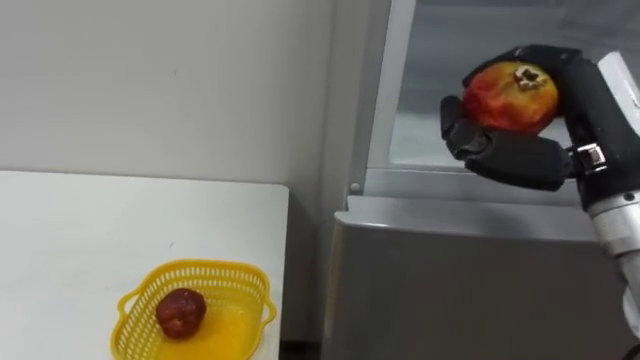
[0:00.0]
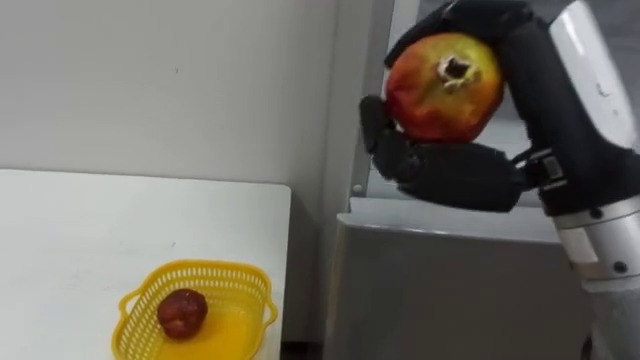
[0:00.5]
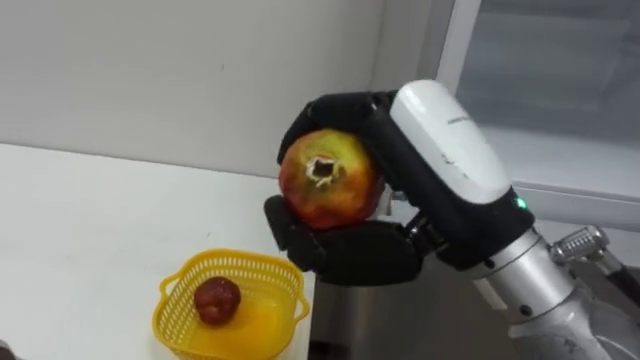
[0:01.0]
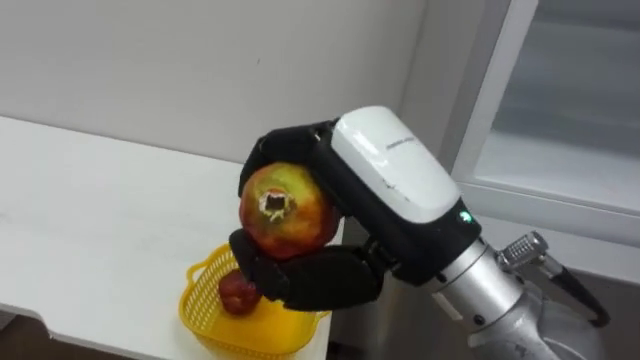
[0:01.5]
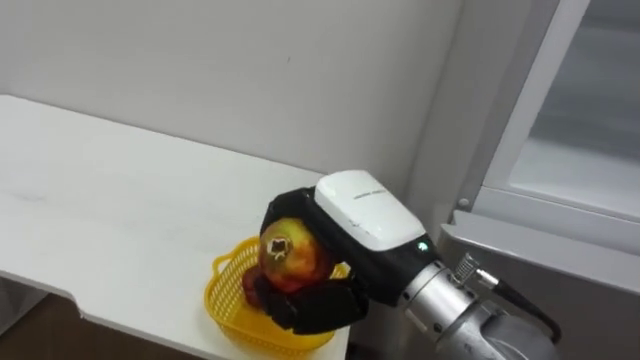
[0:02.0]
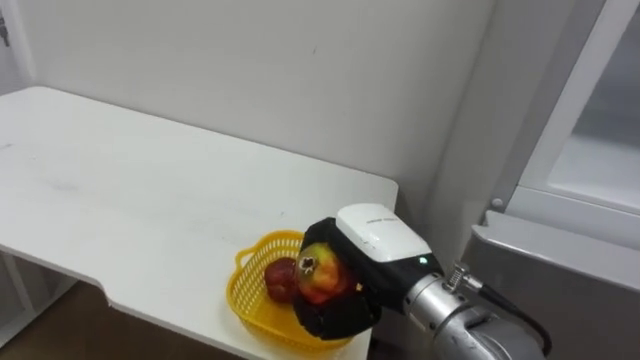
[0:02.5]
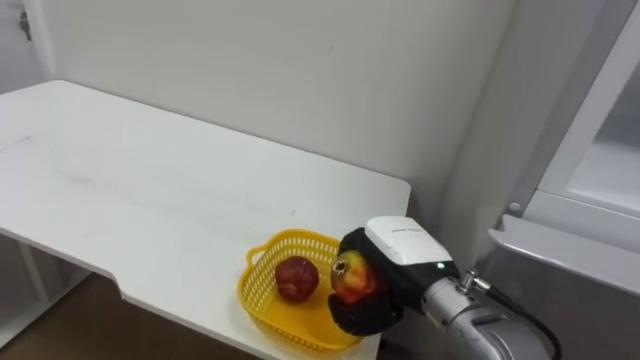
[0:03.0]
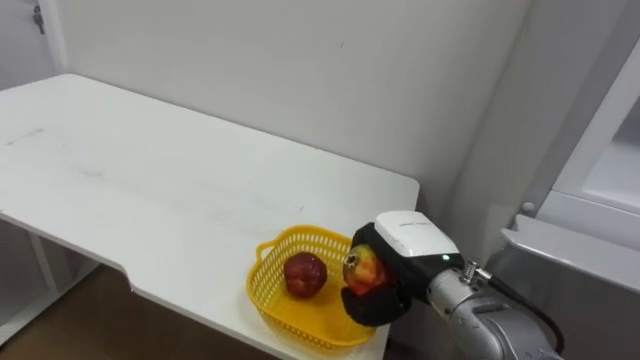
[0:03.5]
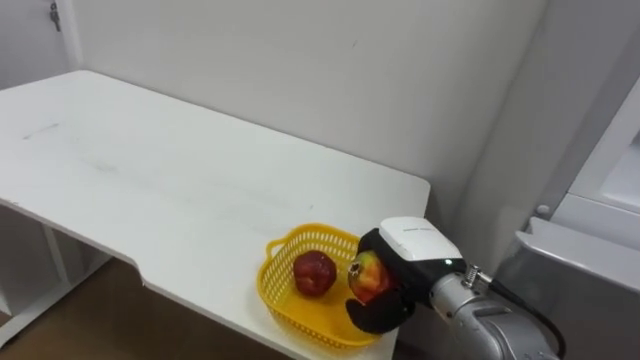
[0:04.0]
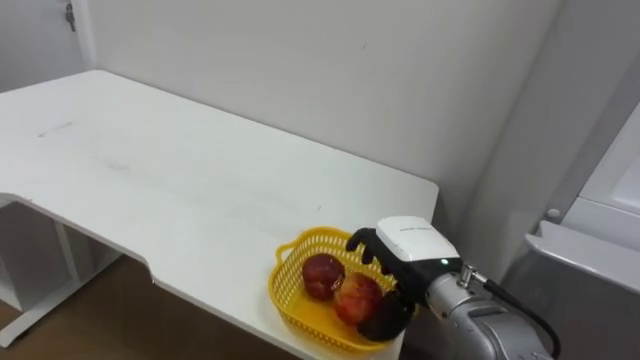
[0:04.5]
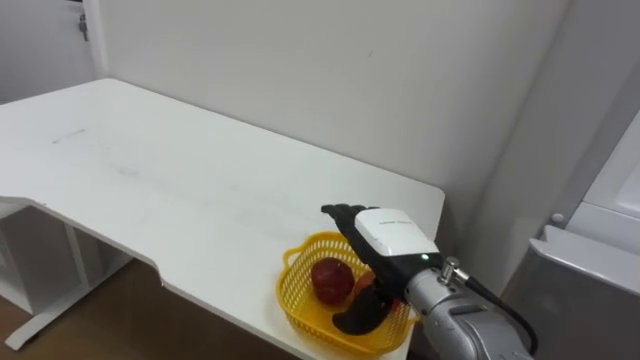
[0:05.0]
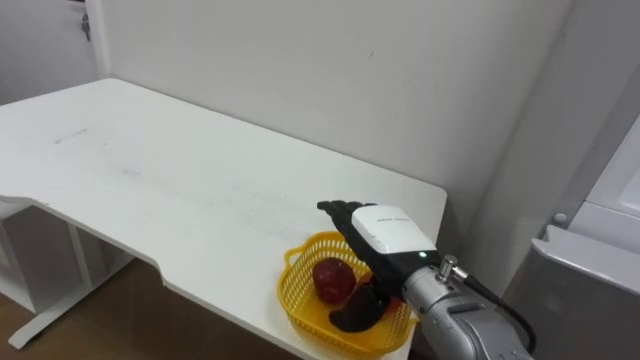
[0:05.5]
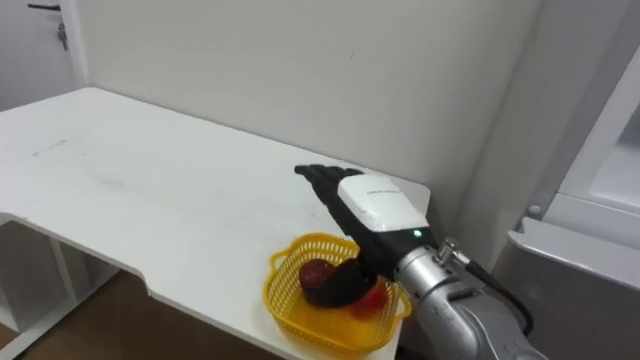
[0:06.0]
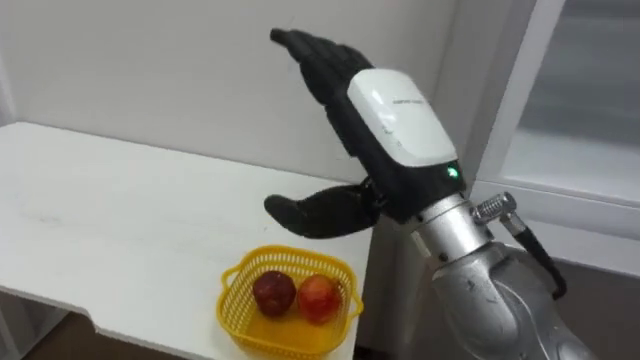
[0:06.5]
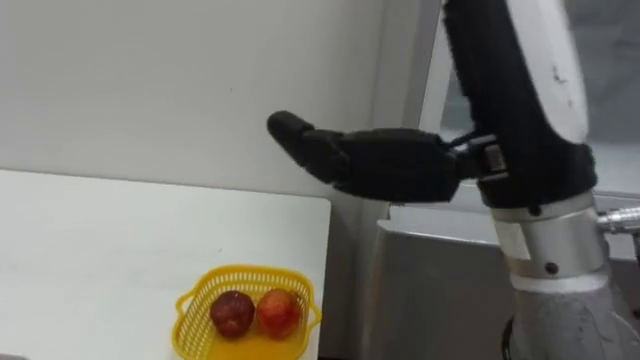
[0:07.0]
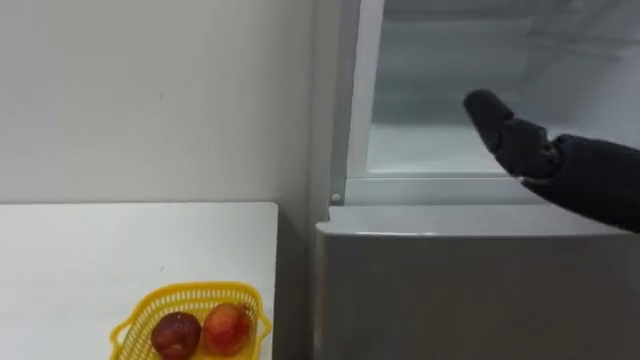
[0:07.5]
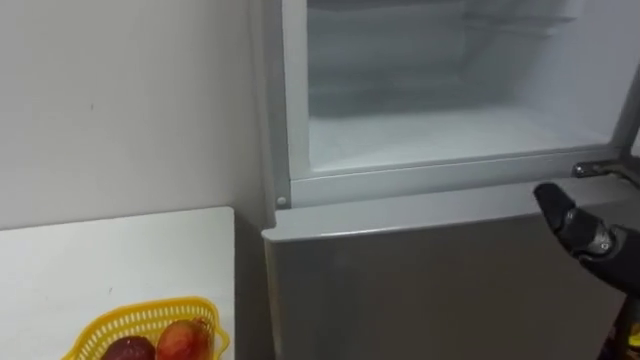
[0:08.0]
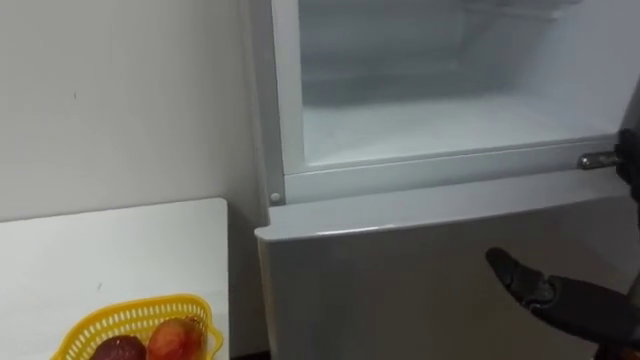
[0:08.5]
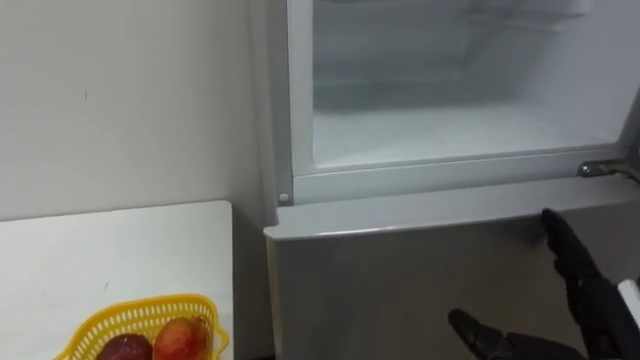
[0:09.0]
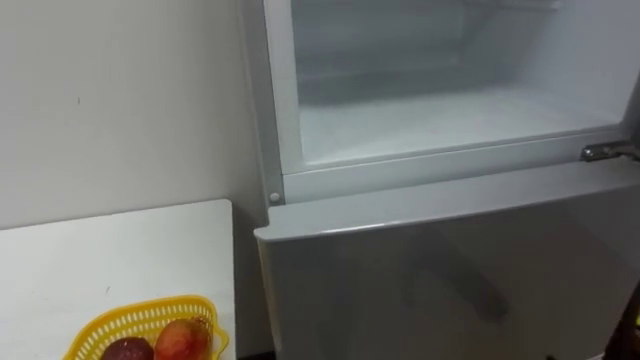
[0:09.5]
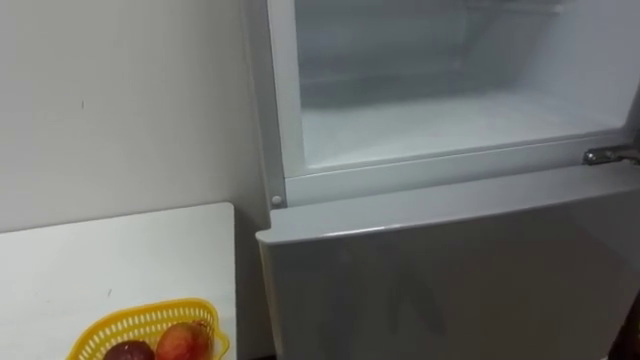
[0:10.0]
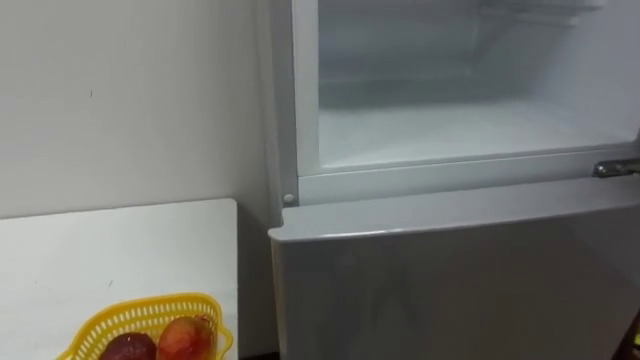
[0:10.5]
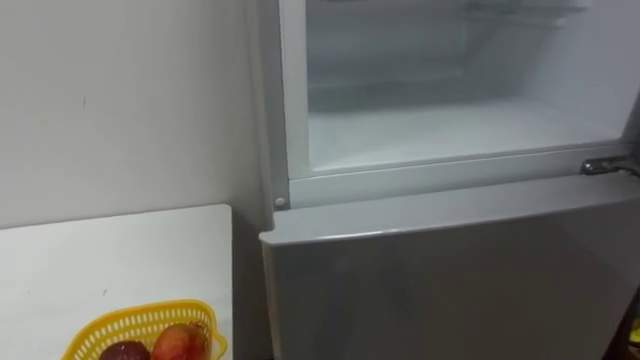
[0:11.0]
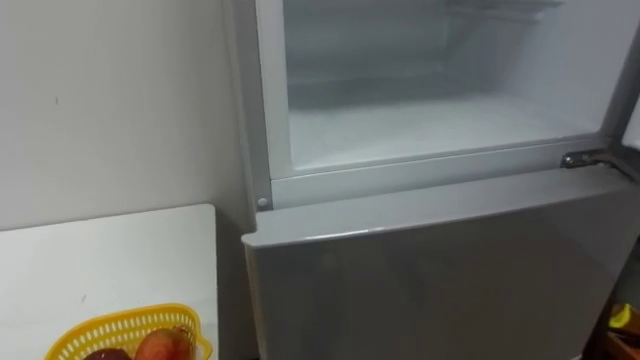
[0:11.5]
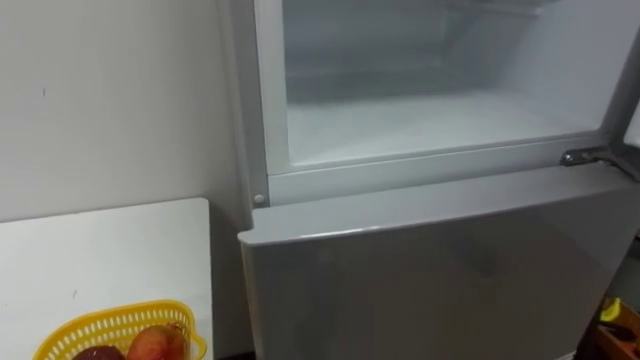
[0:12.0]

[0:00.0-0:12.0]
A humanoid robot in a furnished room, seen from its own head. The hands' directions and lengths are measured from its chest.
Task of the whole recording: Open the refrigerator door, take out the apple and the pomegranate, place them in the fruit basket on the left, and close the refrigerator door.
0:00.0 to 0:02.0: The right hand shifts some 20 cm to the left.
0:02.0 to 0:04.0: The right hand is displaced downward, forward and to the right by about 15 cm.
0:04.0 to 0:06.0: The right hand shifts roughly 5 cm upward, and opens its fingers.

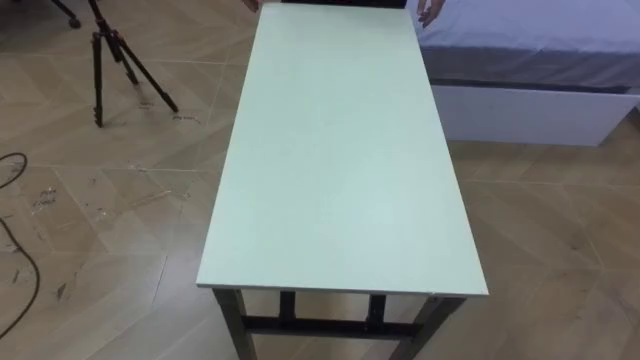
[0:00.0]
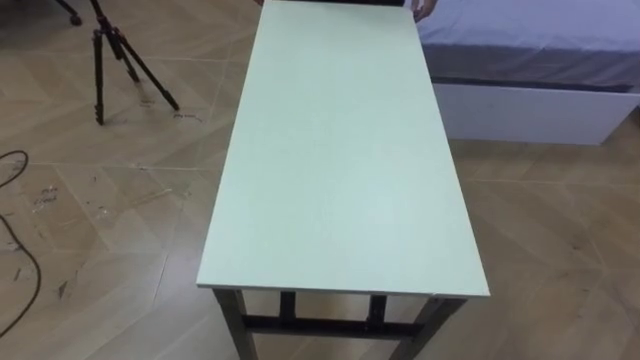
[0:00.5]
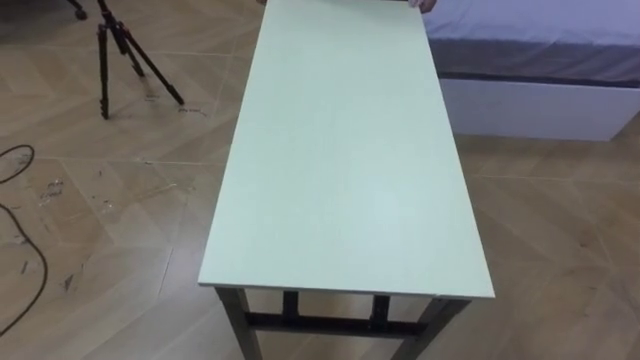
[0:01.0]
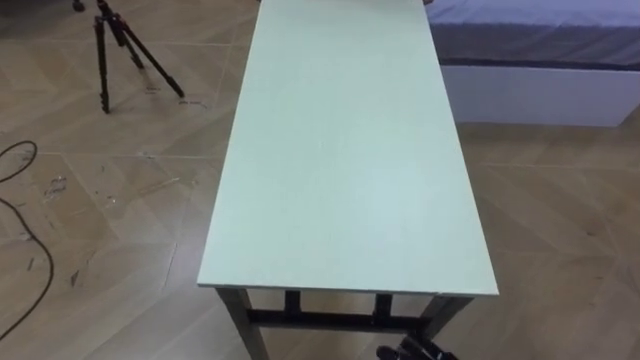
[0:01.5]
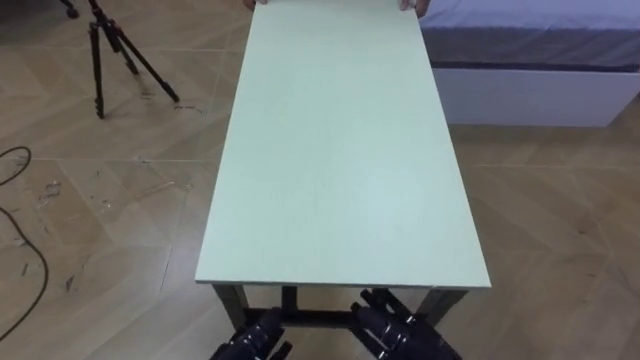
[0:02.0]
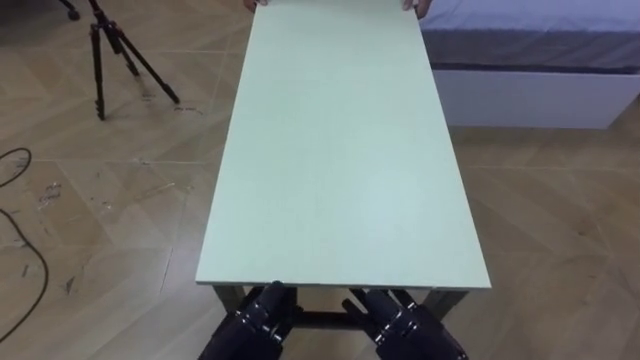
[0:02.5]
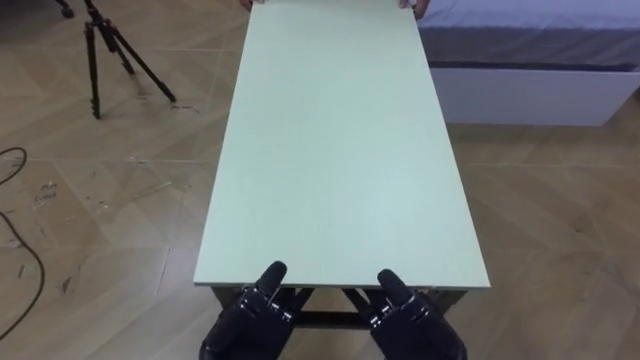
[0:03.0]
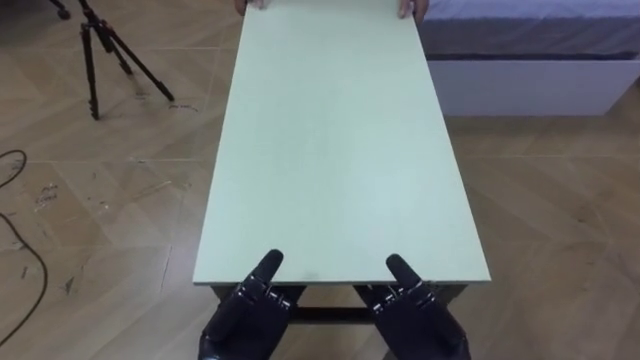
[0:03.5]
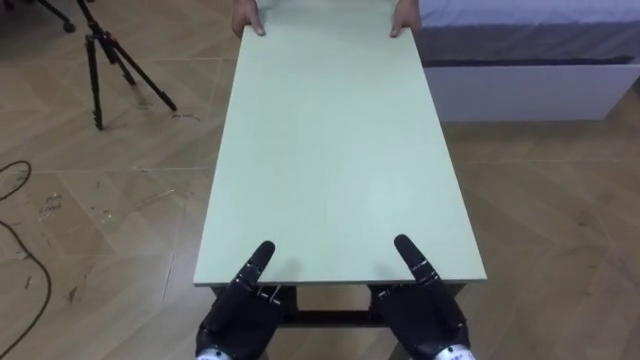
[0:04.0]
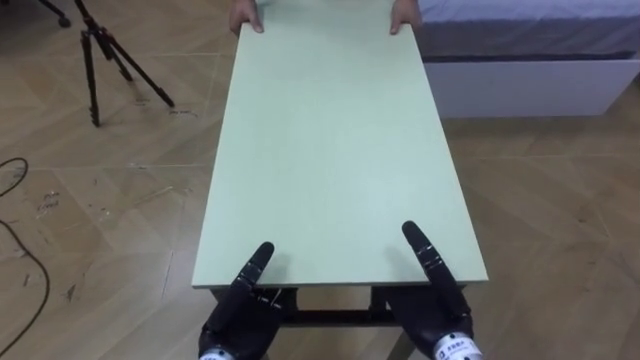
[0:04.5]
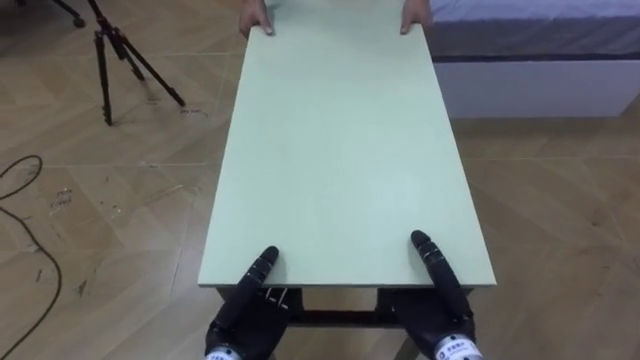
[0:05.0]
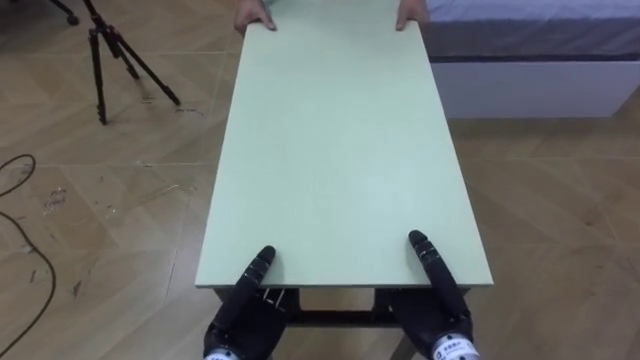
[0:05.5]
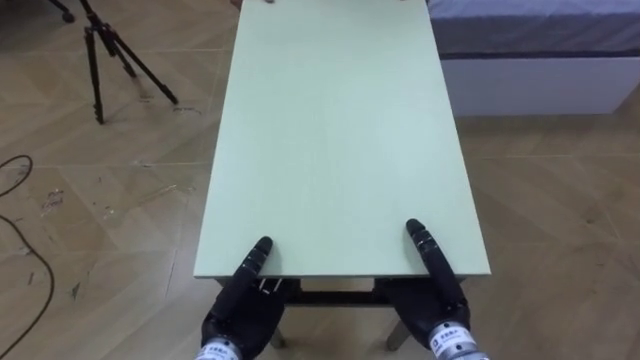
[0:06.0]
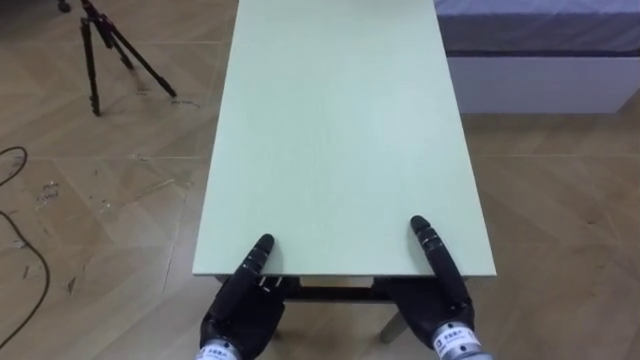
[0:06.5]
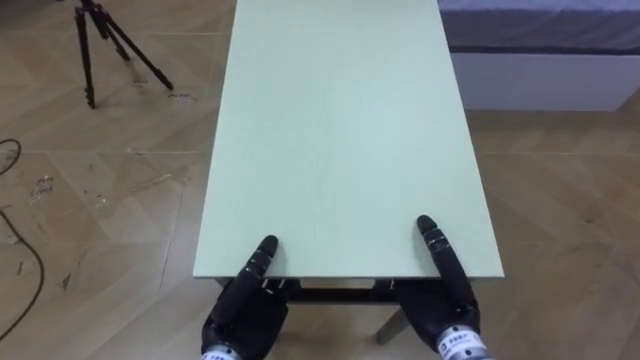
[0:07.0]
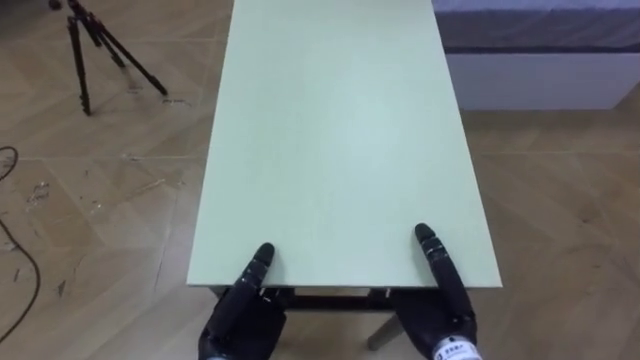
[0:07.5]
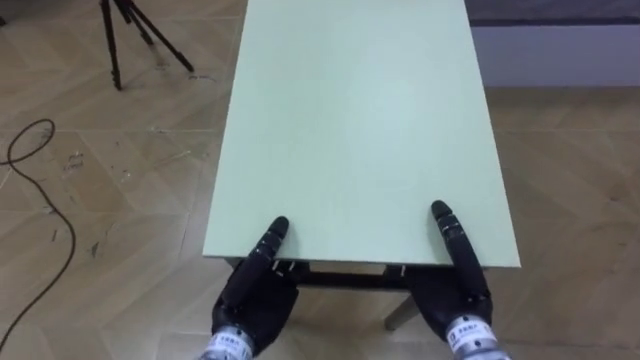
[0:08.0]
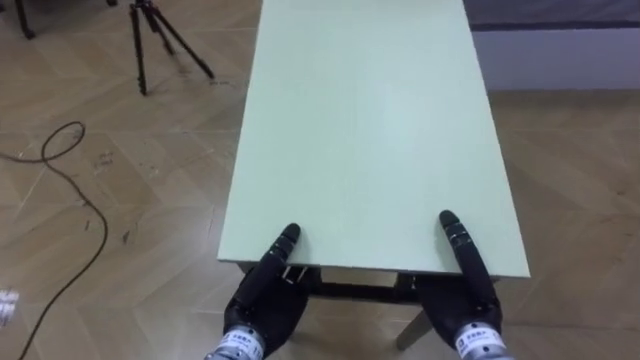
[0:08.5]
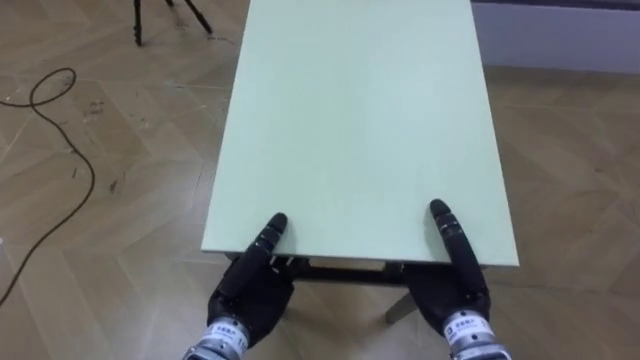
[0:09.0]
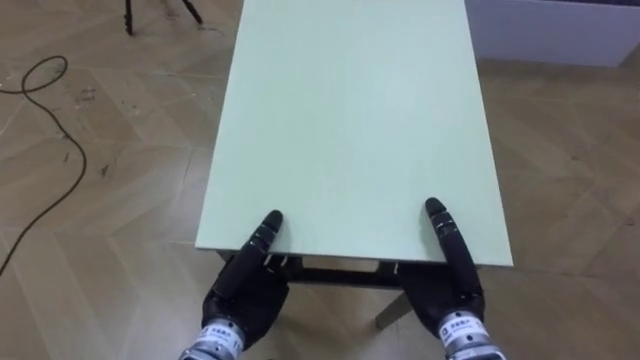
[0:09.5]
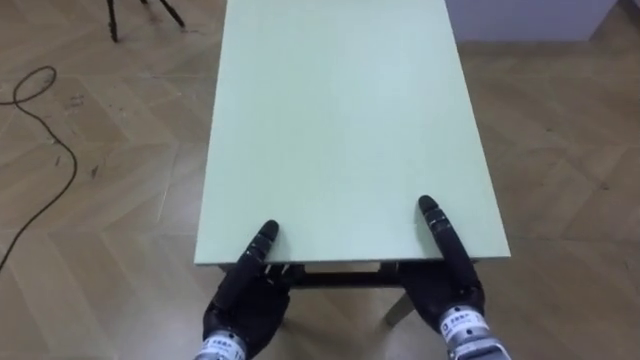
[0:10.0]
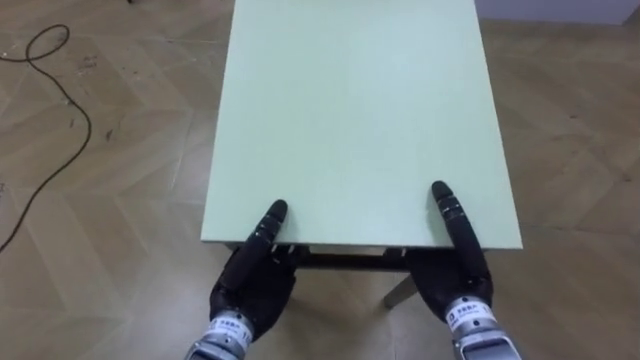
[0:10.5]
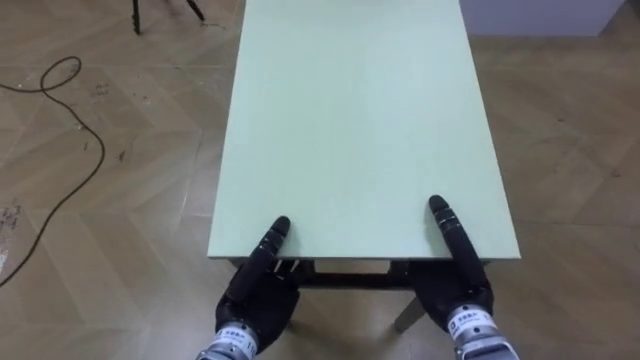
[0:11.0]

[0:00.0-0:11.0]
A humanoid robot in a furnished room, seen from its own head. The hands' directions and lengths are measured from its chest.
Task of the whole recording: Move the table to the back left with someone.
0:02.0 to 0:03.5: The right hand shifts approximately 5 cm upward.
0:03.5 to 0:05.5: The right hand closes up; the left hand closes up.
